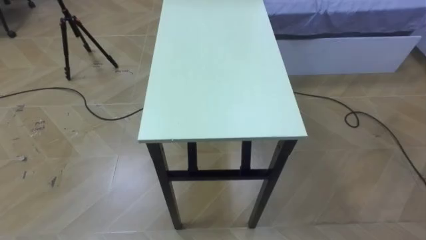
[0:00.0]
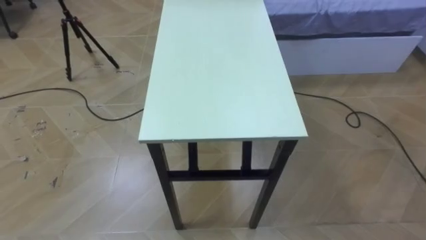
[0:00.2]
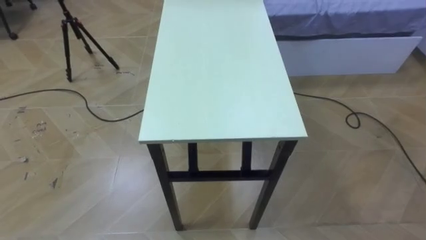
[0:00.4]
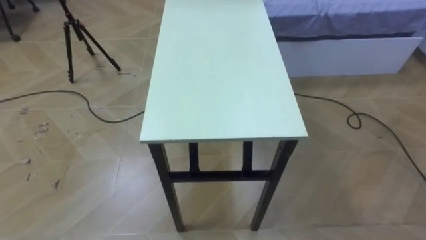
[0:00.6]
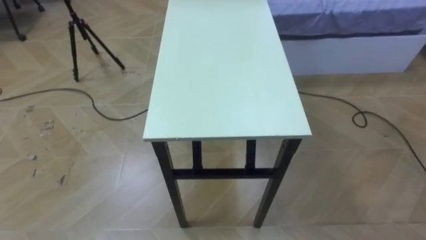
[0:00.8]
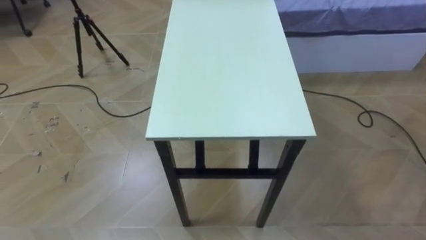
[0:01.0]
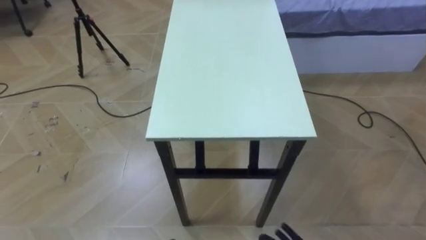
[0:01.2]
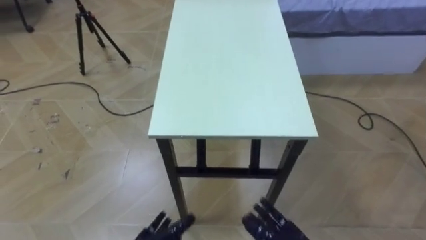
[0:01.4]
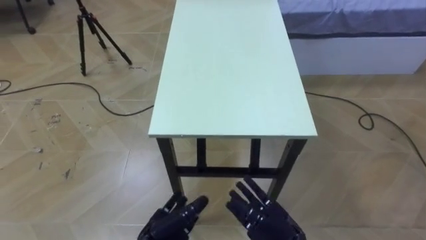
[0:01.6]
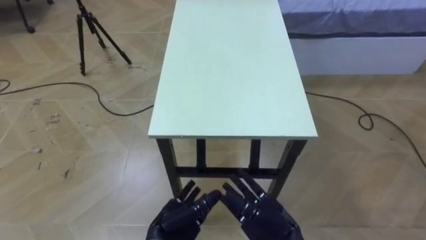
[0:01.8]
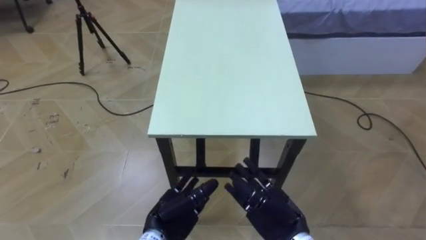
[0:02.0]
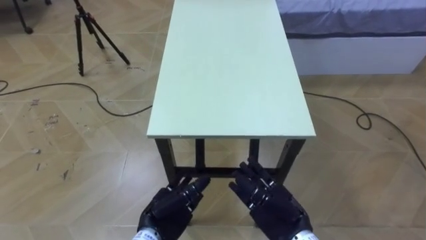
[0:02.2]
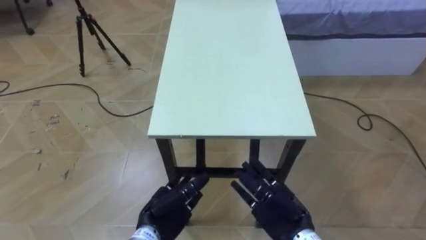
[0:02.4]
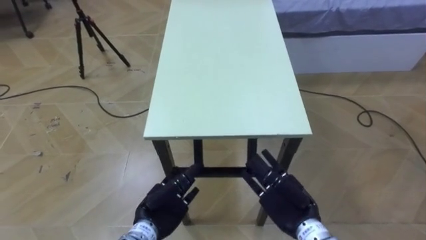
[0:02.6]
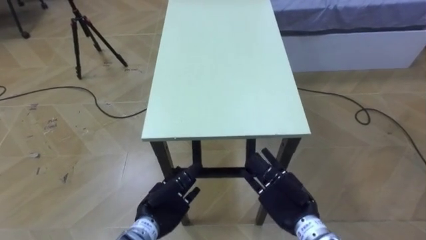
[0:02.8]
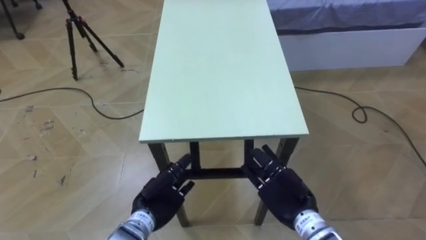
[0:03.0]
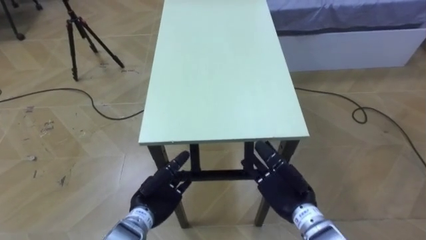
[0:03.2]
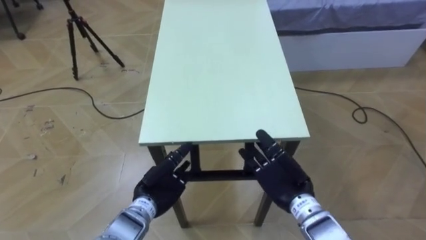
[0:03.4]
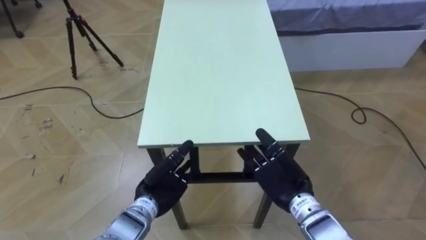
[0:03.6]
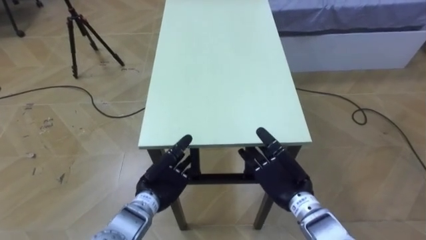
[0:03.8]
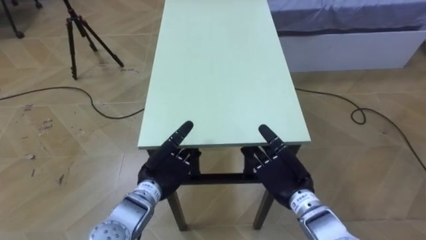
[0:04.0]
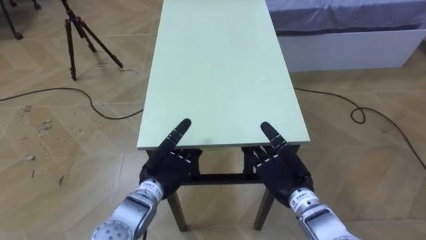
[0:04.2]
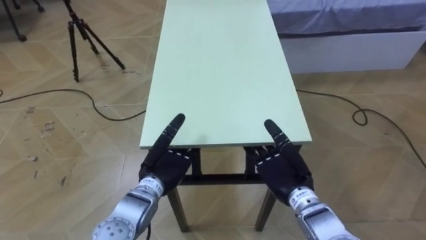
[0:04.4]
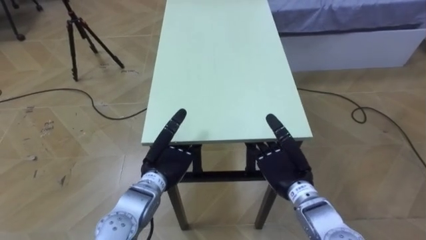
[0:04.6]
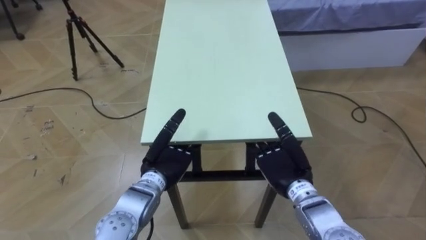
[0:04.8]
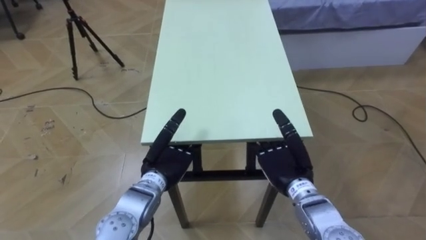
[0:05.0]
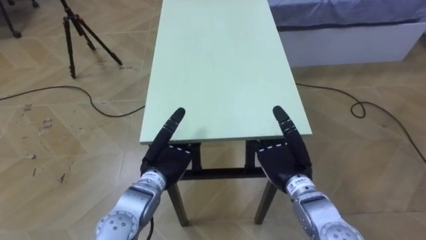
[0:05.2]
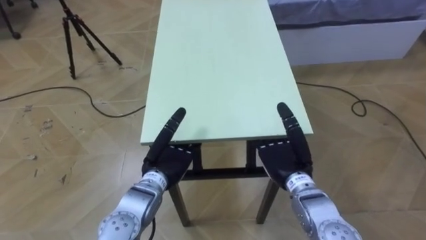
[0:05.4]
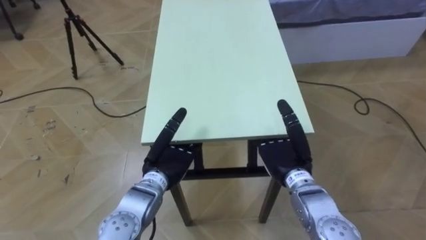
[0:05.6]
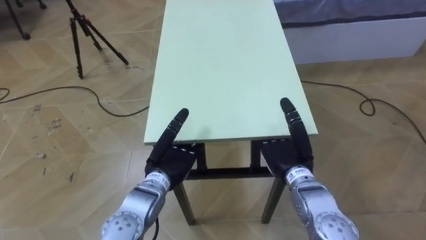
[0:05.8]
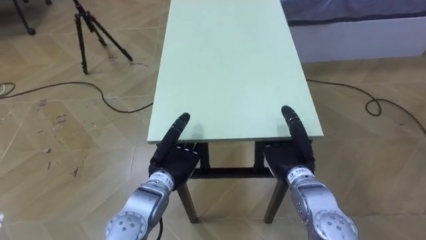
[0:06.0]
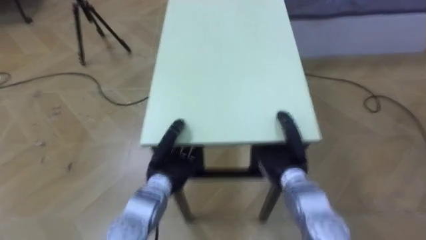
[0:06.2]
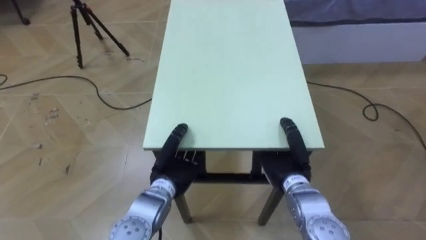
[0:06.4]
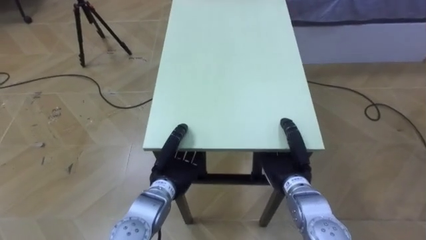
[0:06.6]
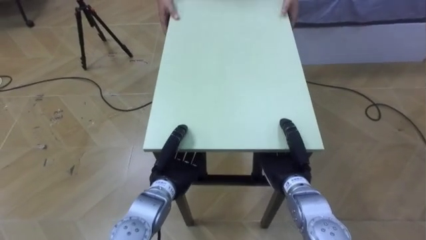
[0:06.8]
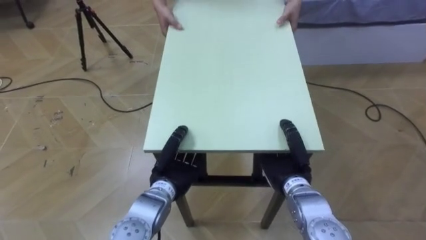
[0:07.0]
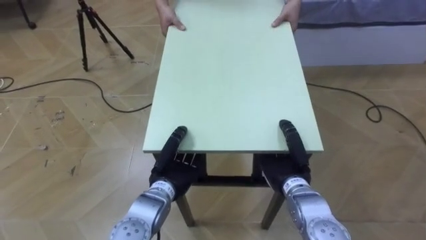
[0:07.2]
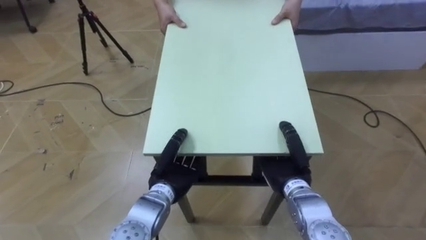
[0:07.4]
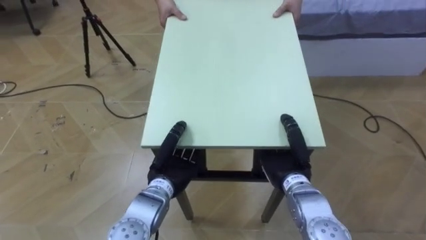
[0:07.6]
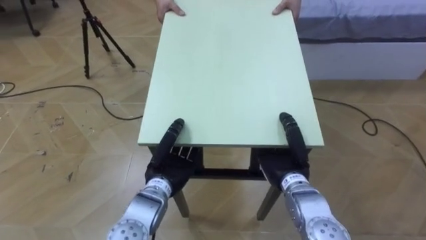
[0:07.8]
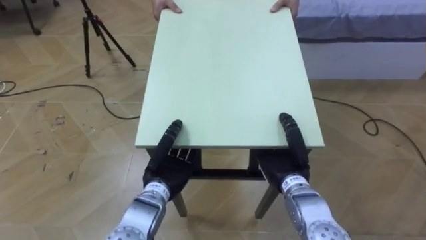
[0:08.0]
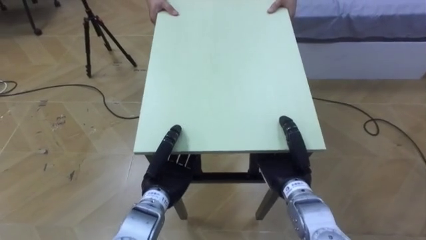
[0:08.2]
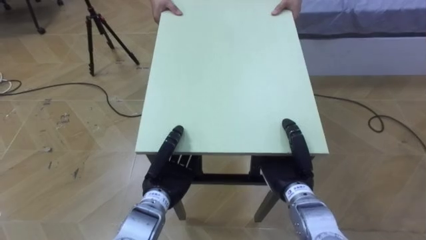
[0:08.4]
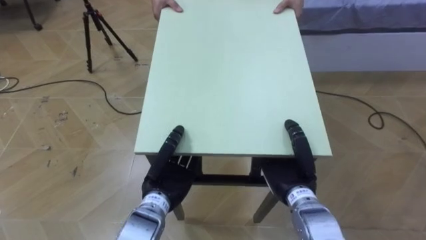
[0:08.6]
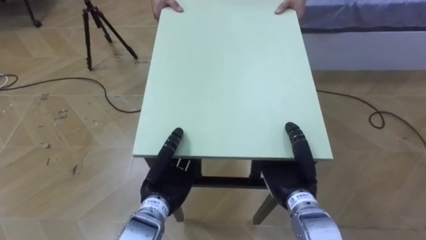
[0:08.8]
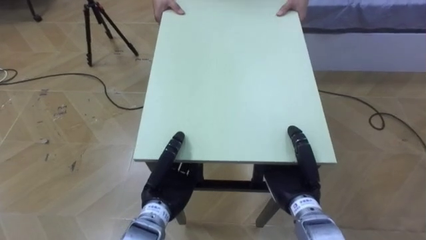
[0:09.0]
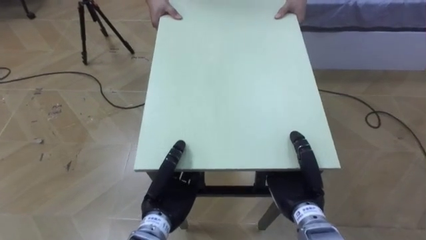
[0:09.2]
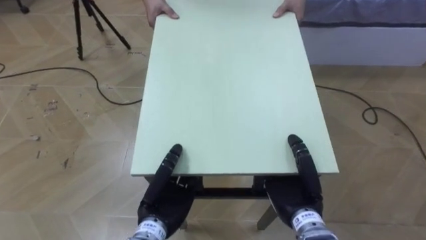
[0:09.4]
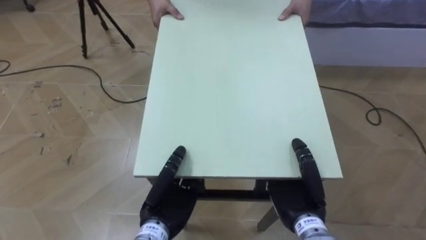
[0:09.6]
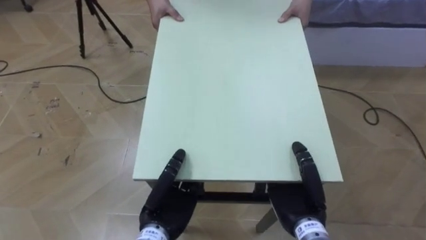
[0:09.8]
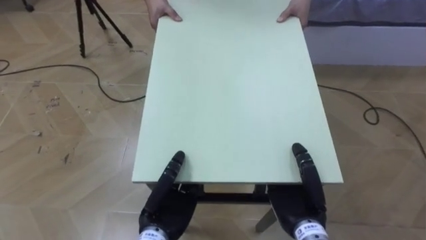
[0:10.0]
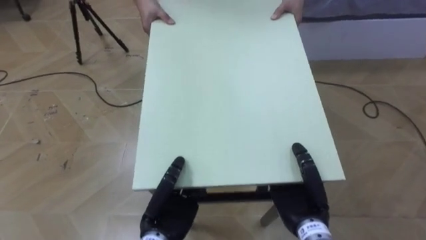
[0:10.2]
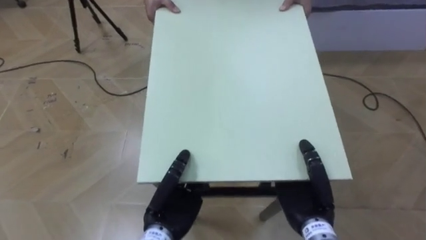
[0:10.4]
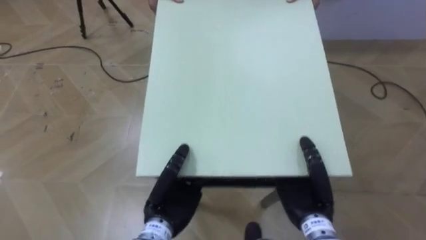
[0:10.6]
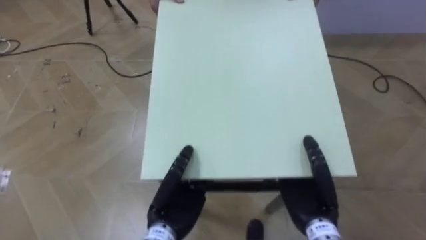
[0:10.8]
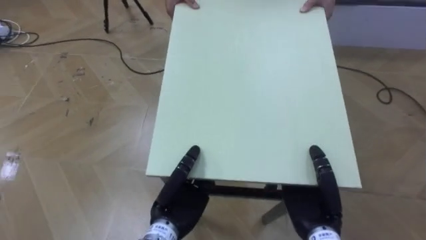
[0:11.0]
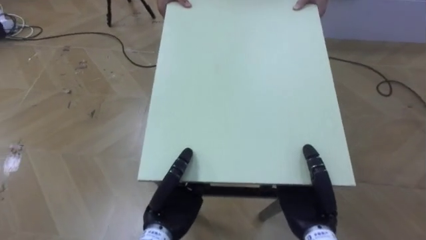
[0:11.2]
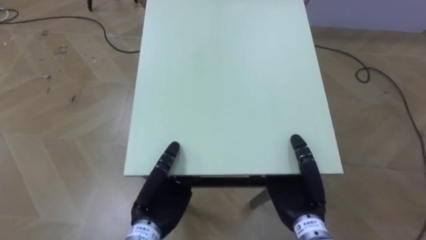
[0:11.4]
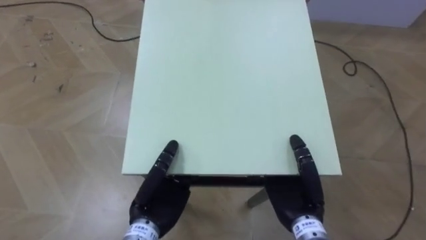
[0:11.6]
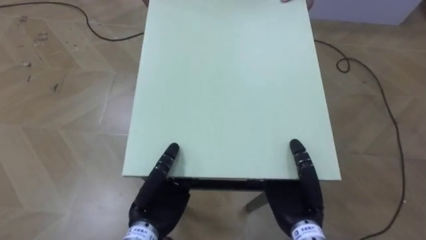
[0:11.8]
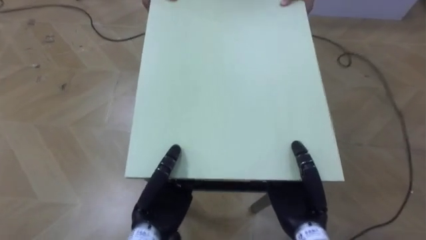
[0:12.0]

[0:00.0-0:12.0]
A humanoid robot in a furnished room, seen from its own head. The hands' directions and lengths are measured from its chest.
Task of the whole recording: Move the table to the back left with someone.
0:01.6 to 0:03.0: The two hands go some 5 cm forward.
0:03.0 to 0:04.4: The left hand travels forward by some 5 cm.

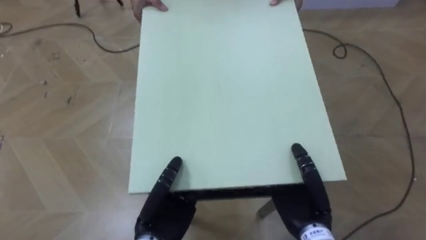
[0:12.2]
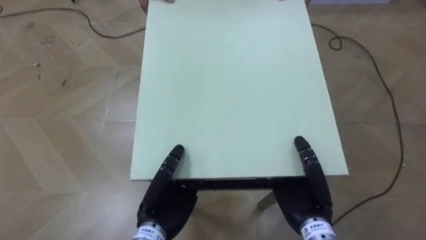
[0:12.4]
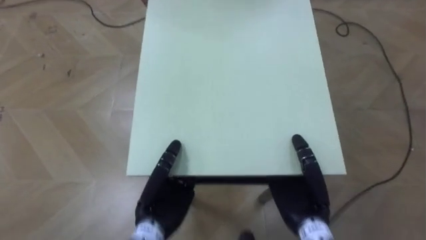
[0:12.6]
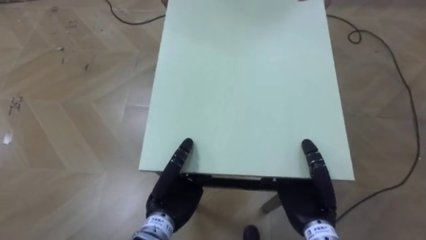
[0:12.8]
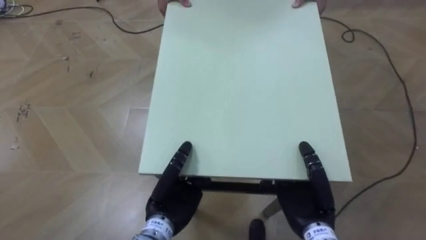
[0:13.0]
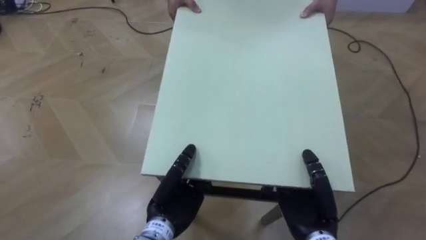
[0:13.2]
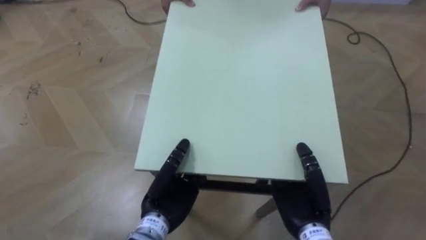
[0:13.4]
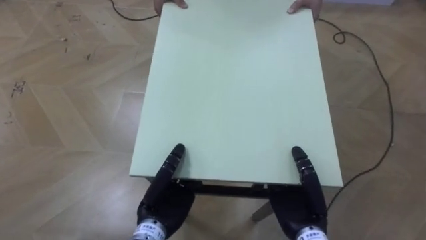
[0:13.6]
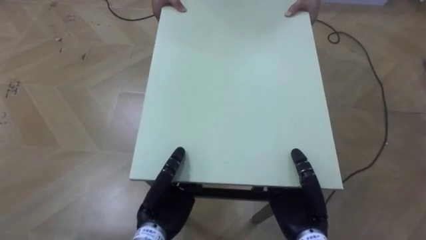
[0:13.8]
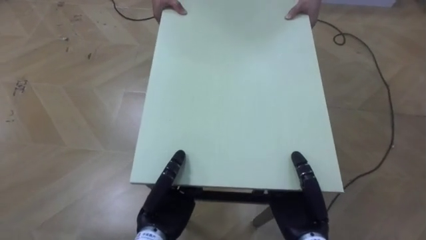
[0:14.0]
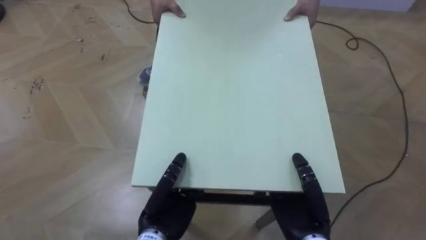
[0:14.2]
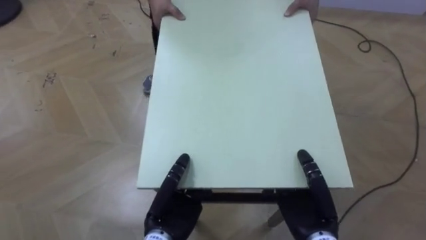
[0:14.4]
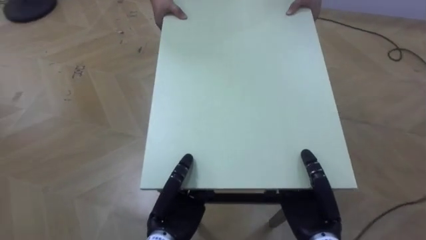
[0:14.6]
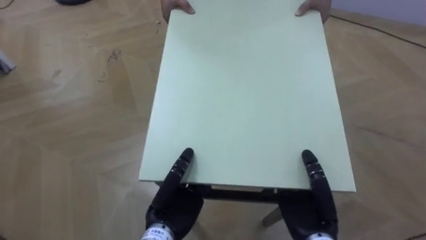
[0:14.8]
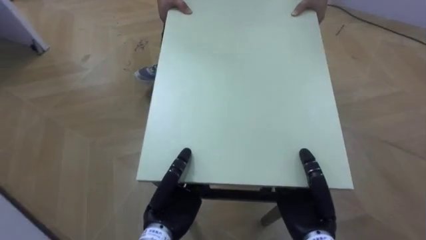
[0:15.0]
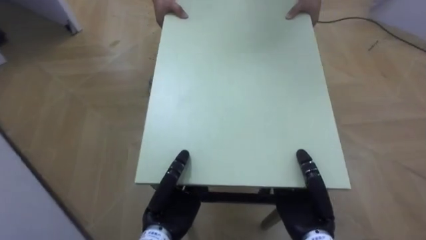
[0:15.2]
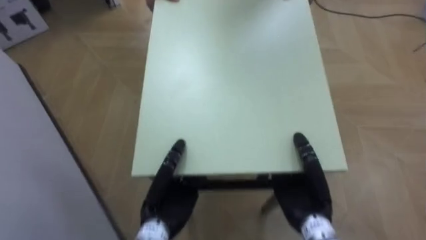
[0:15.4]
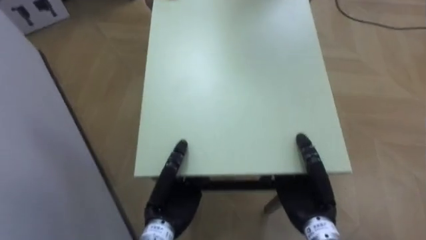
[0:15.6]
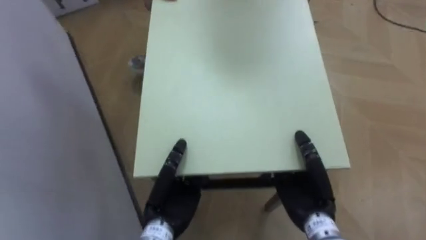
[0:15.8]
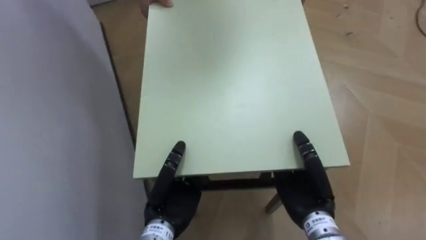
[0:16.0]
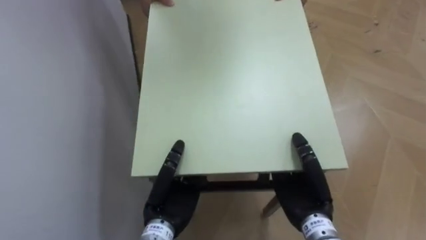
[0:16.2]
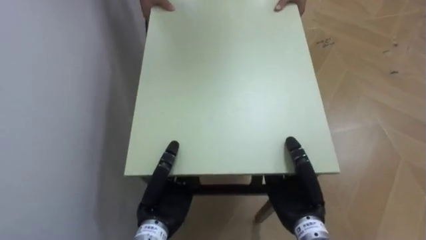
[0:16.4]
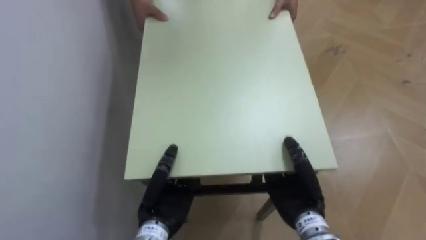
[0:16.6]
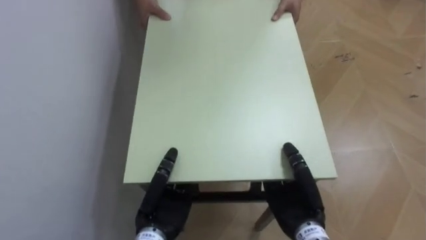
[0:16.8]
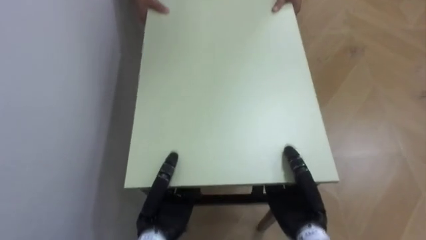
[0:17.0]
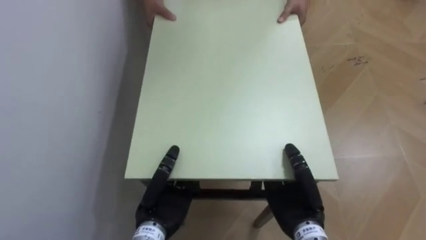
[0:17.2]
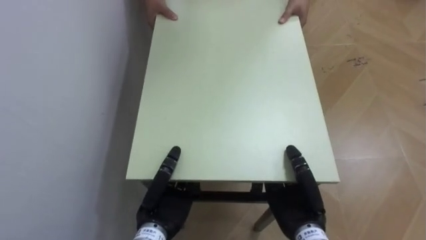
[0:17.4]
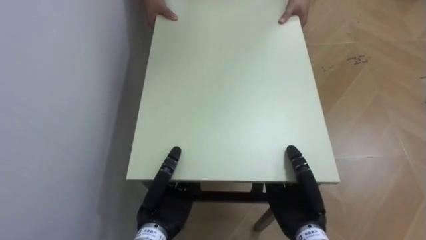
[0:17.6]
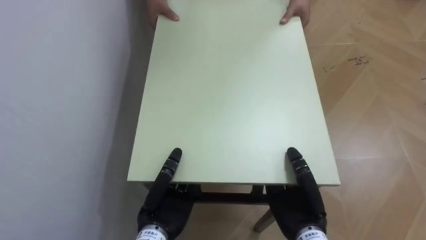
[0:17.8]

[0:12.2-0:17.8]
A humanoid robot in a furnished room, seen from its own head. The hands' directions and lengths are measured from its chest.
Task of the whole recording: Move the table to the back left with someone.
0:13.6 to 0:15.0: The robot turns to its left by approximately 30 degrees.
0:15.0 to 0:16.4: The robot turns to its left by about 50 degrees.
